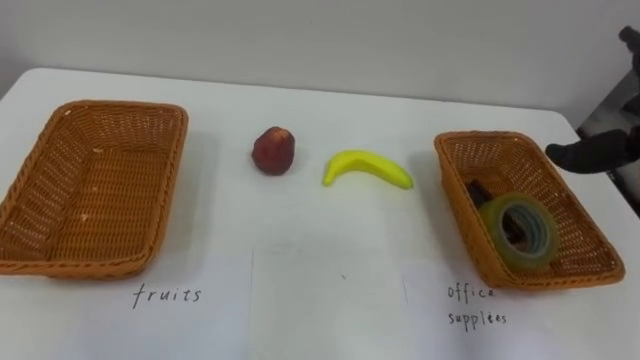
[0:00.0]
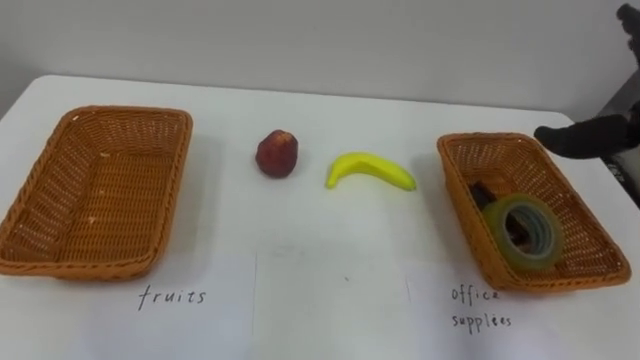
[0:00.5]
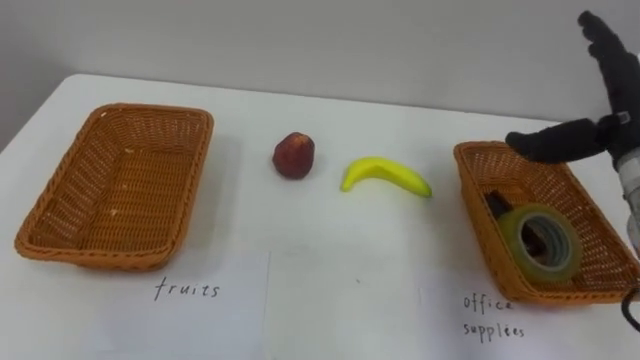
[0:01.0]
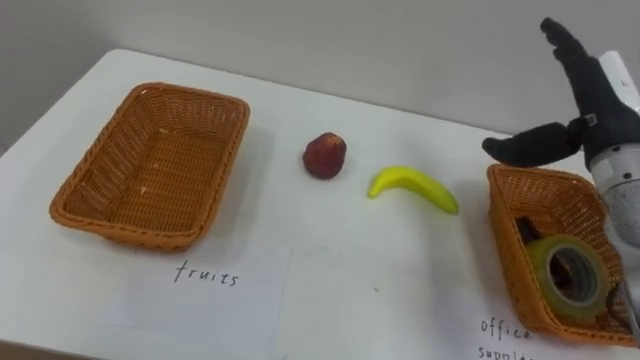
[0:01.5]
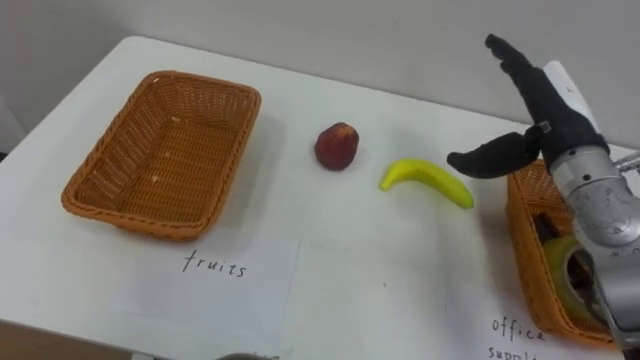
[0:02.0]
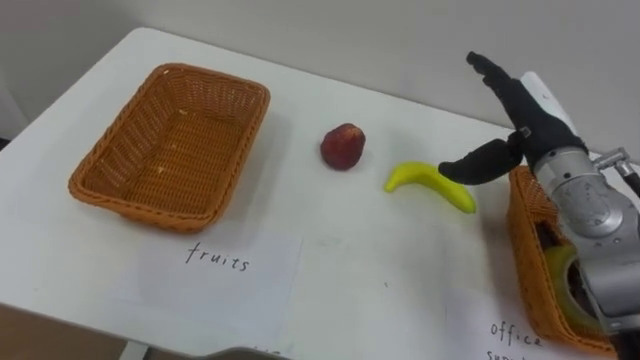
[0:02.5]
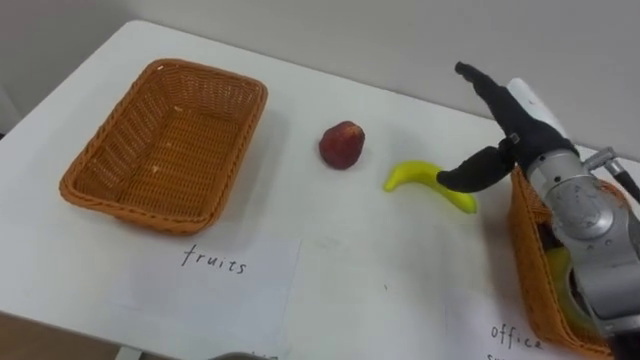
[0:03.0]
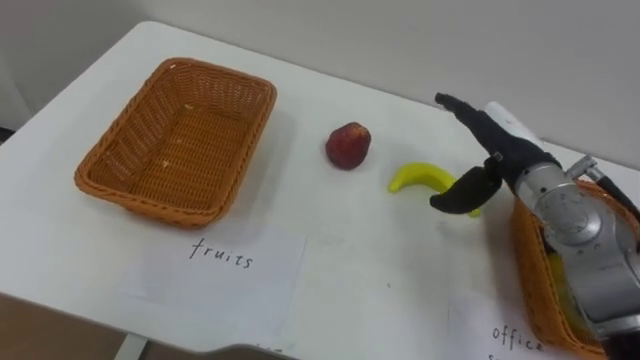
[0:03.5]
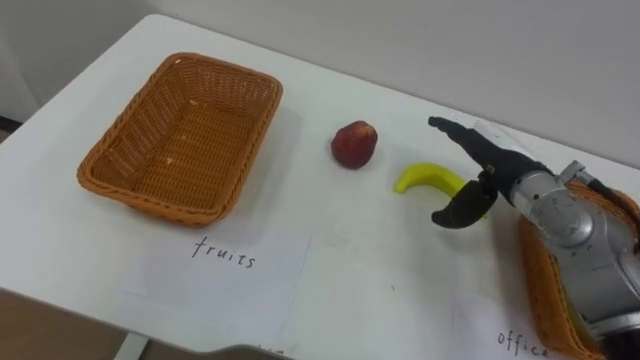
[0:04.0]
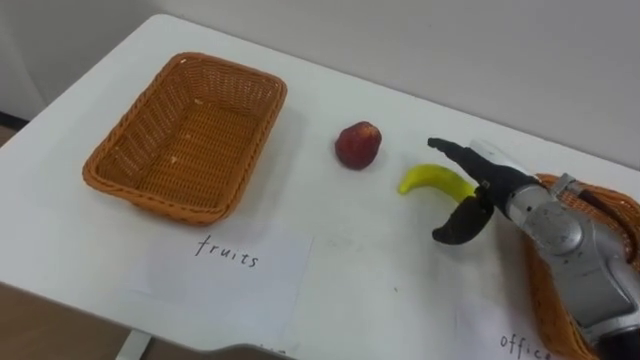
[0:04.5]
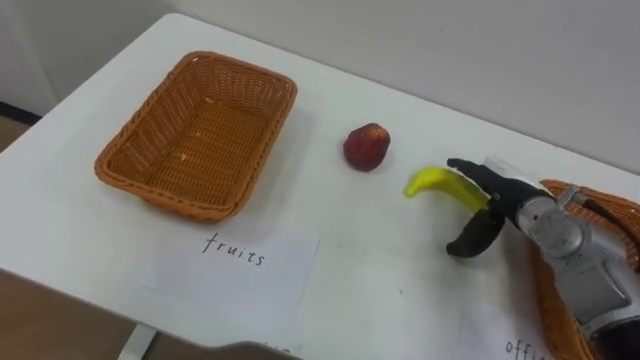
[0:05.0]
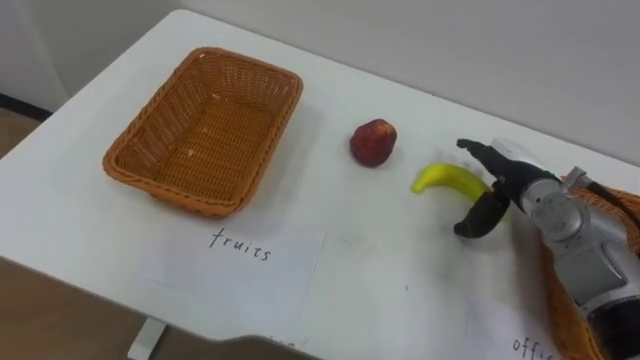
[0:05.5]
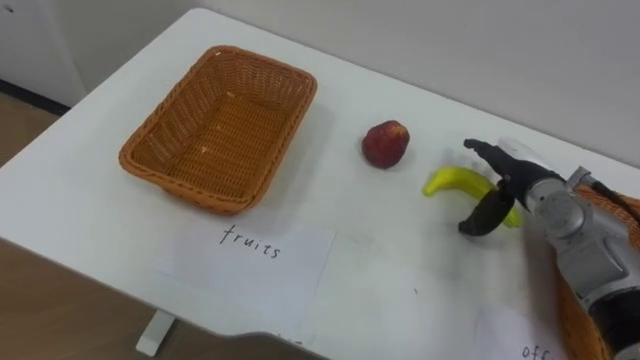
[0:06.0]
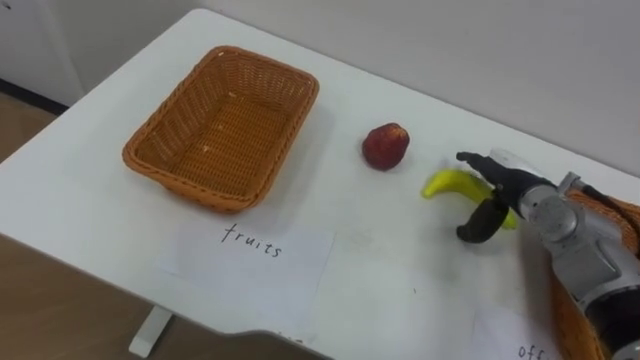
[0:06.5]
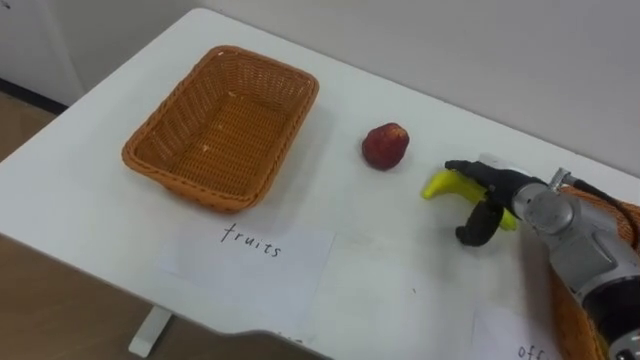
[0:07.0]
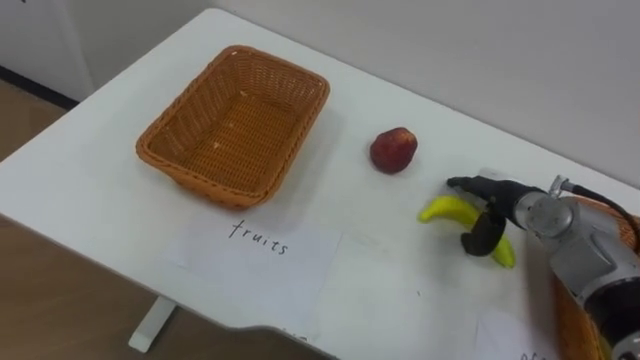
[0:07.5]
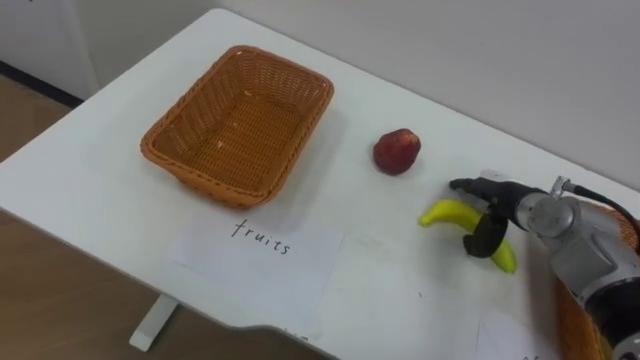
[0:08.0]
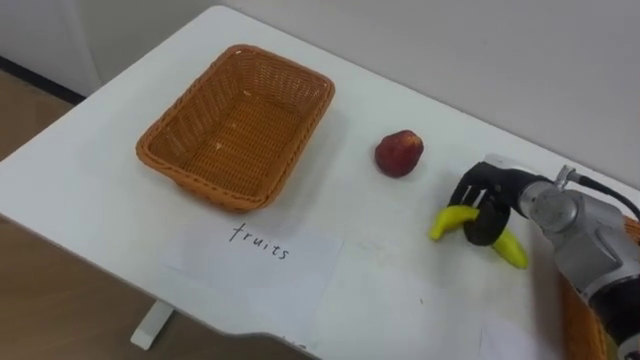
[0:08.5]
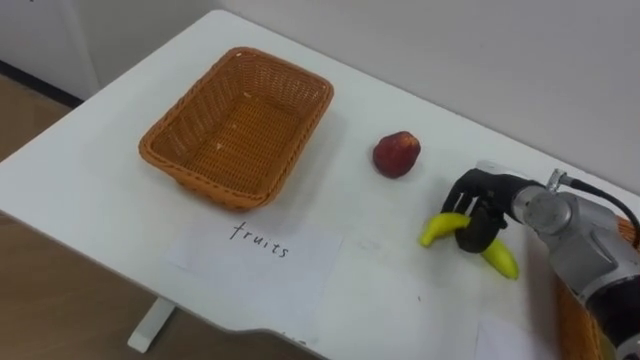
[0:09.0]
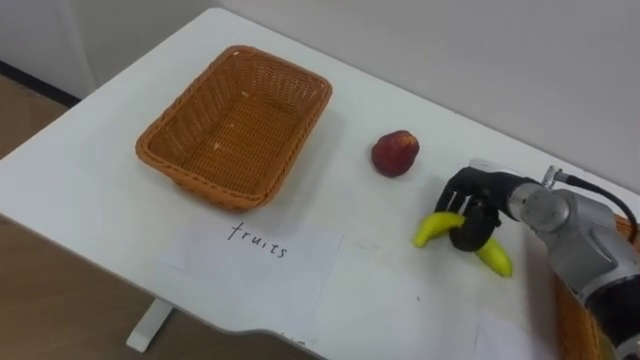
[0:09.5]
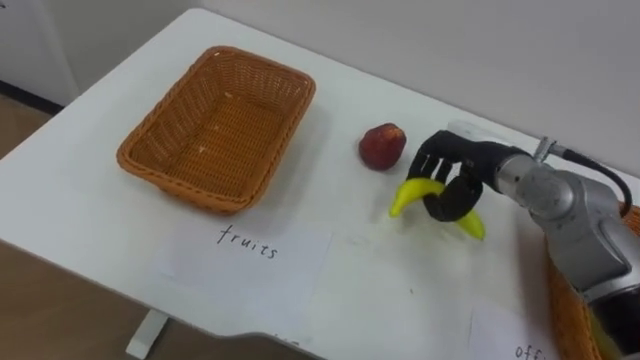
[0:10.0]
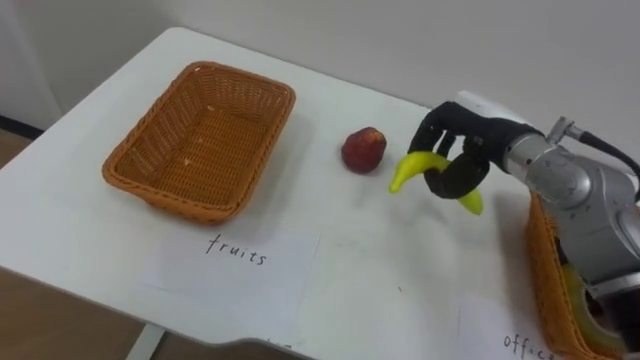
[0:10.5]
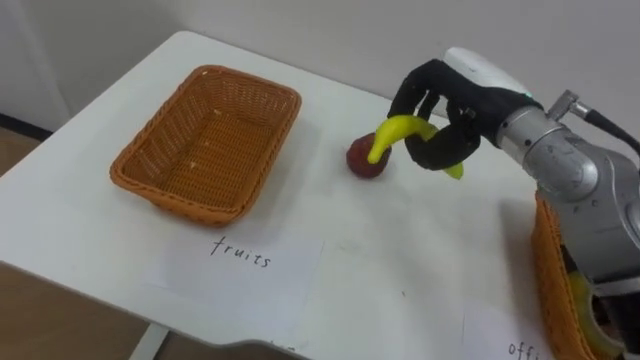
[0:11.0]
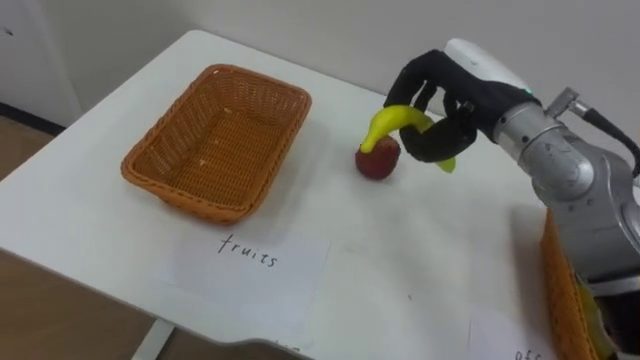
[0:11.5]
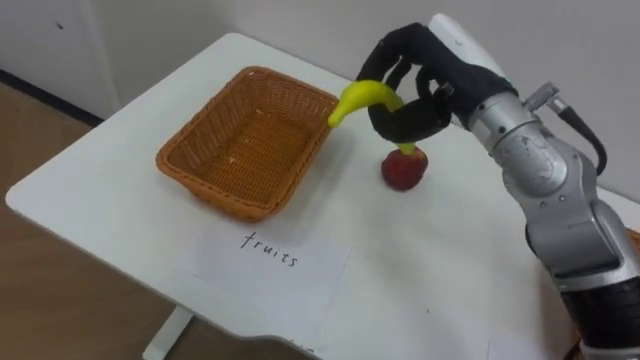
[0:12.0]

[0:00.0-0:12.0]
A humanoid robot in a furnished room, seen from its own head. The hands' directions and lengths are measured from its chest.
Task of the whole recording: Separate the items on the table and place them into the two baskets.
0:02.0 to 0:04.0: The right hand goes approximately 5 cm downward.
0:04.0 to 0:06.0: The right hand moves approximately 5 cm.
0:08.0 to 0:10.0: The right hand is displaced upward and to the left by some 10 cm, and closes.
0:10.0 to 0:12.0: The right hand goes approximately 15 cm upward and to the left.

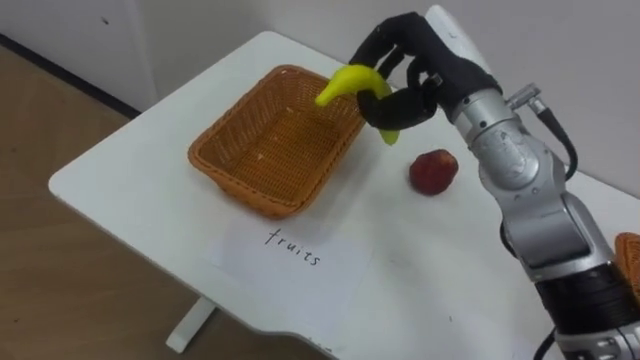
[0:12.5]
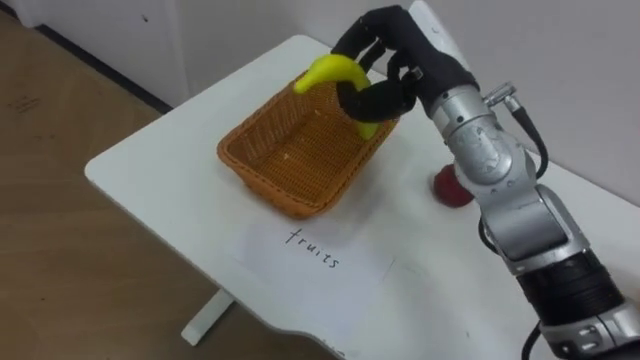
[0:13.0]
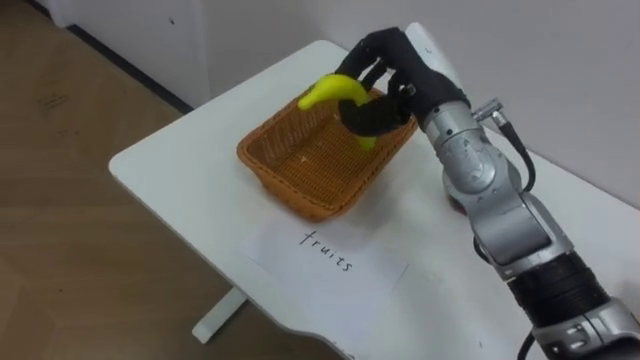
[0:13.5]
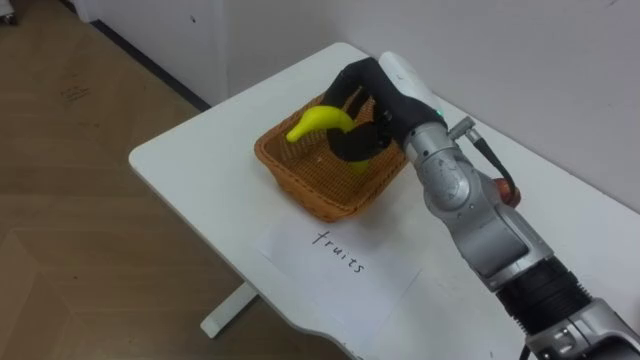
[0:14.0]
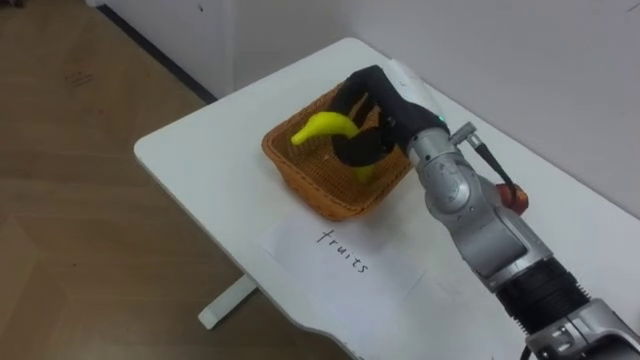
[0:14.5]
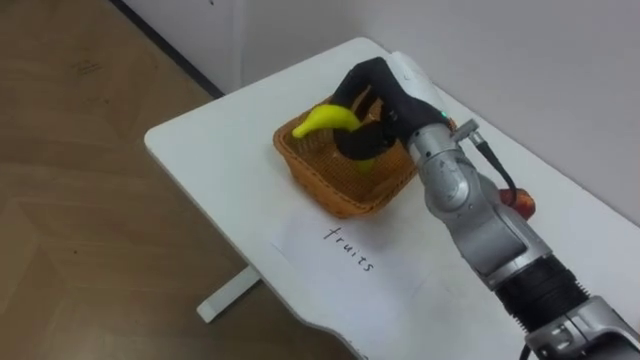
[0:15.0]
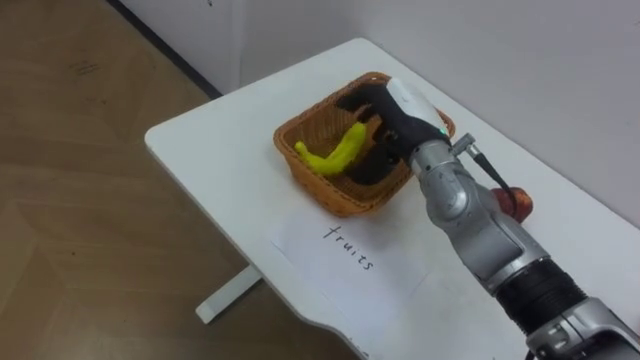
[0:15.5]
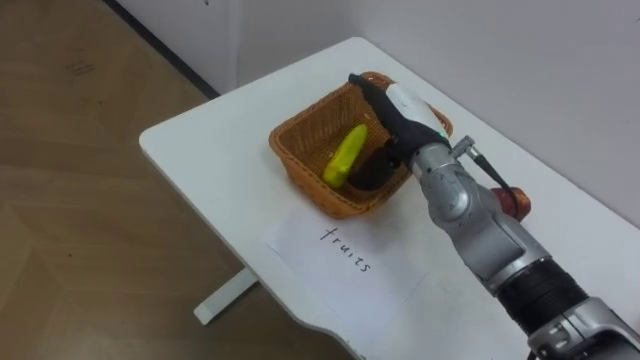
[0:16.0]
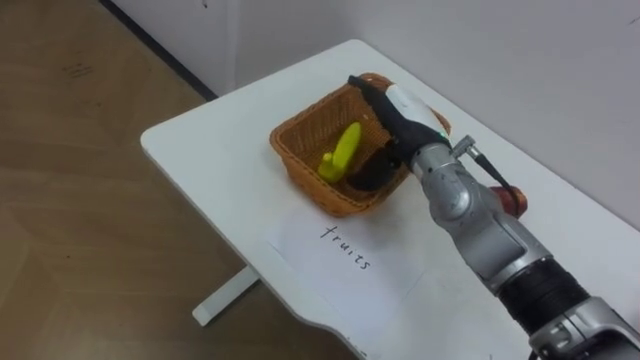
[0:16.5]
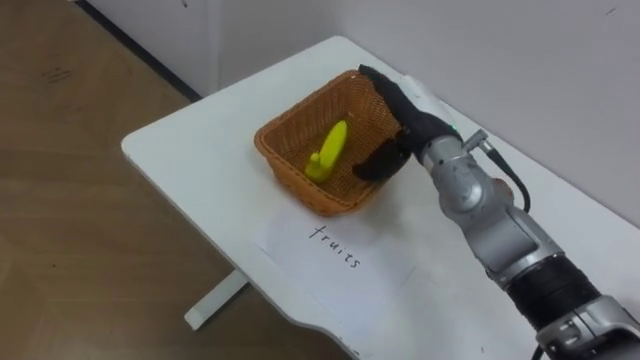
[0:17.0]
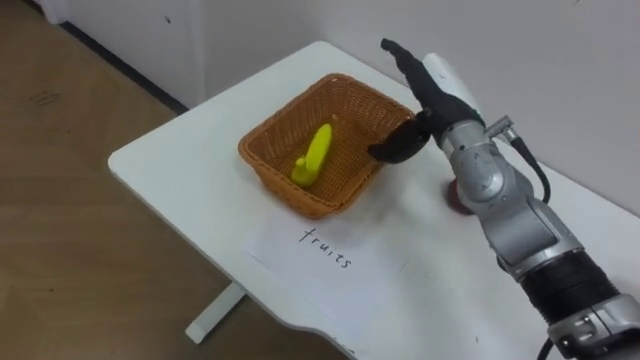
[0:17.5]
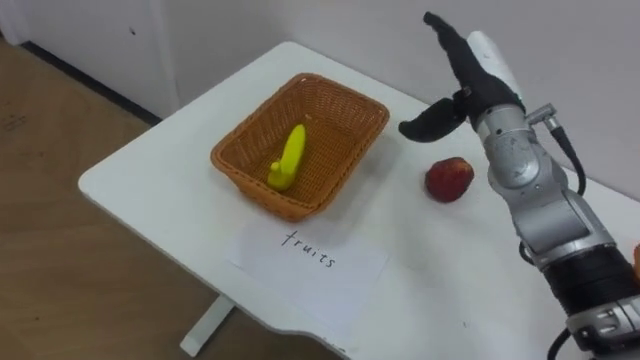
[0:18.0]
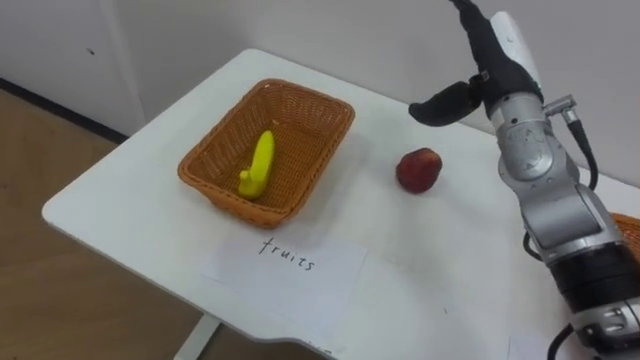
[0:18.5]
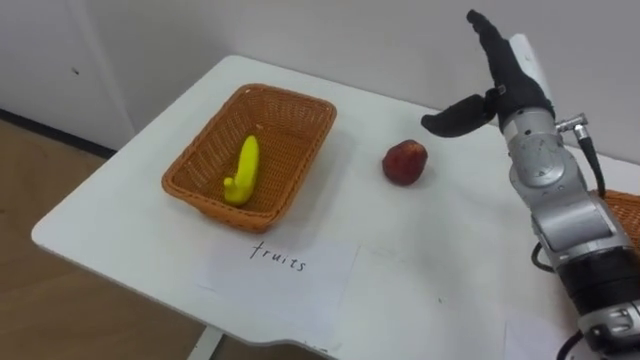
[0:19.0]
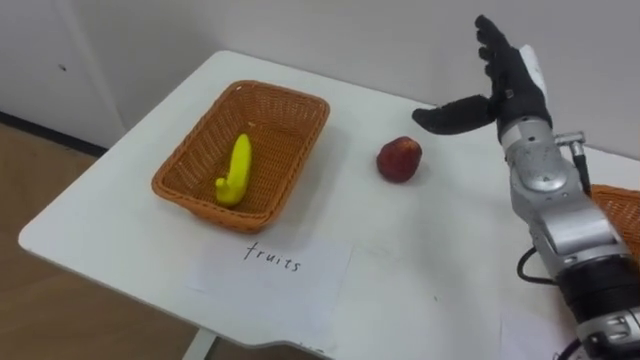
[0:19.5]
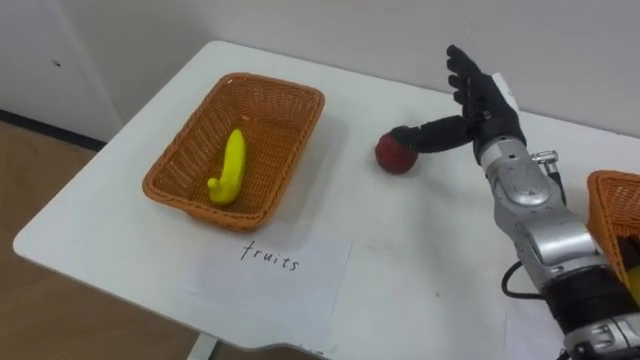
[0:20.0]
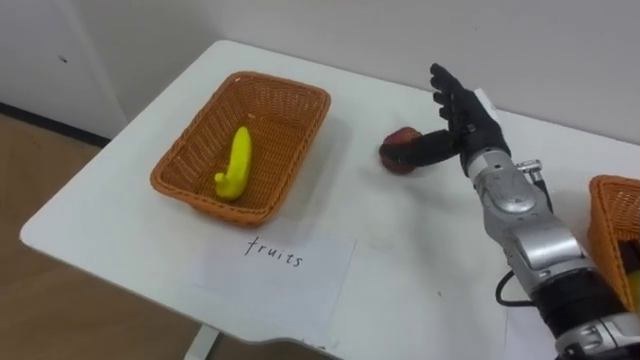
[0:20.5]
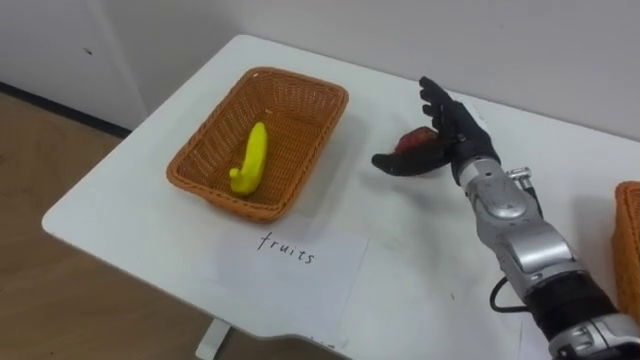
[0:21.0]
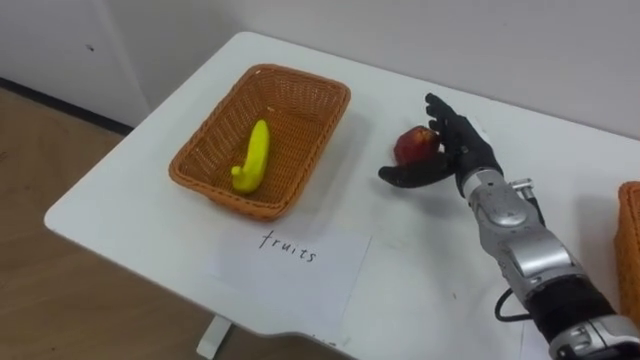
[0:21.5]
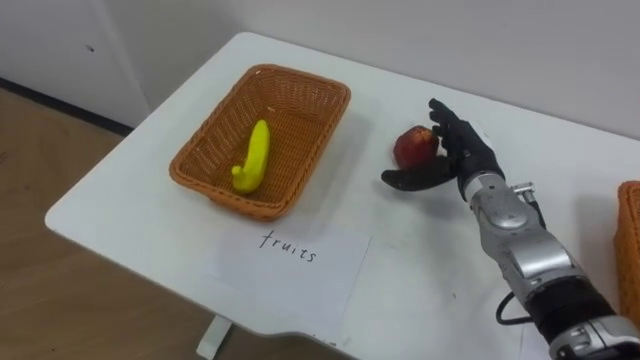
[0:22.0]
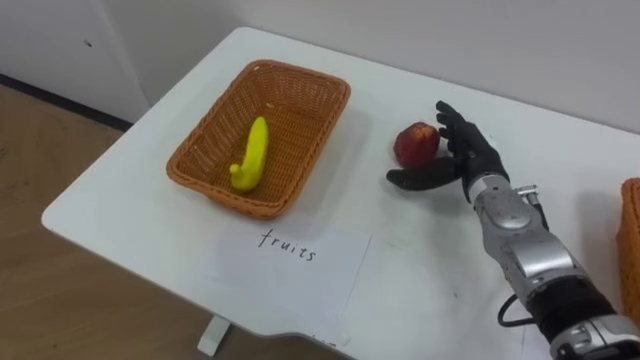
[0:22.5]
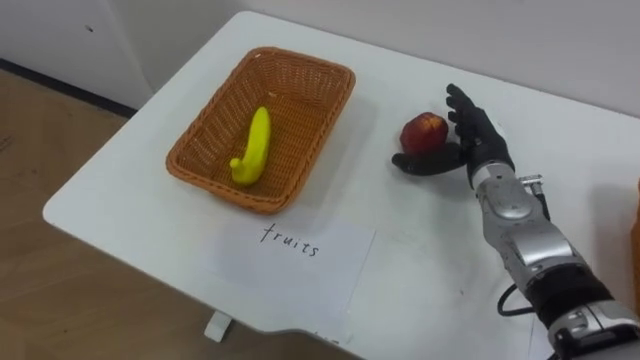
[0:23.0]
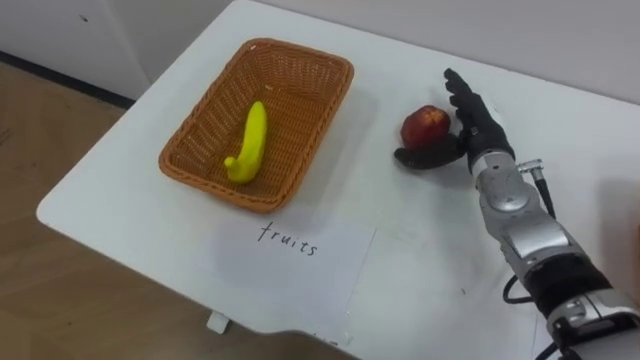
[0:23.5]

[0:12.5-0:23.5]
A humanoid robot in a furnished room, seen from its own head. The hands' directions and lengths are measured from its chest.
Task of the whole recording: Separate the items on the table and place them into the two baskets.
0:12.5 to 0:14.5: The right hand moves downward, roughly 5 cm.
0:14.5 to 0:16.0: The right hand opens up.
0:16.0 to 0:18.0: The right hand goes some 10 cm to the right and upward.
0:18.0 to 0:20.0: The right hand shifts by roughly 5 cm.
0:20.0 to 0:21.5: The right hand shifts roughly 5 cm downward.
